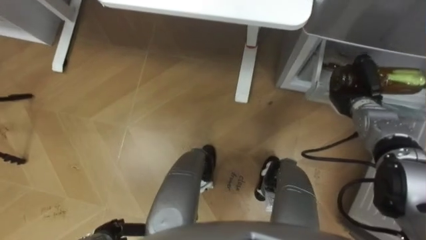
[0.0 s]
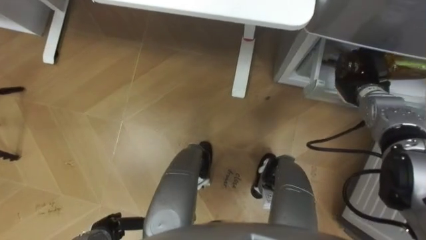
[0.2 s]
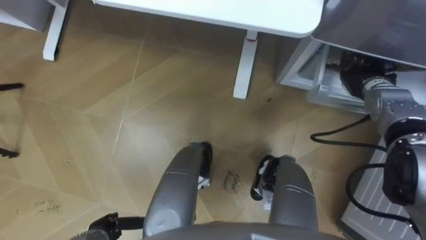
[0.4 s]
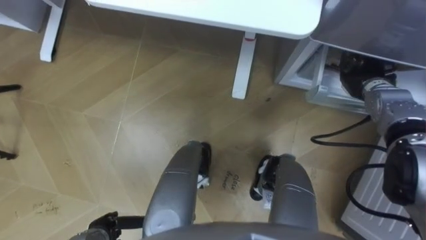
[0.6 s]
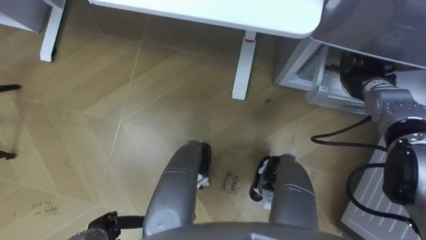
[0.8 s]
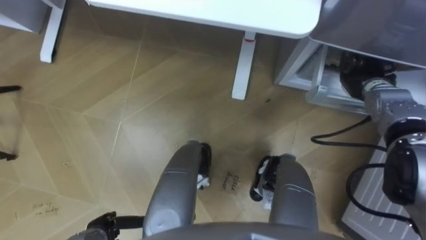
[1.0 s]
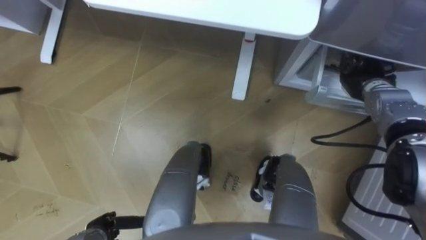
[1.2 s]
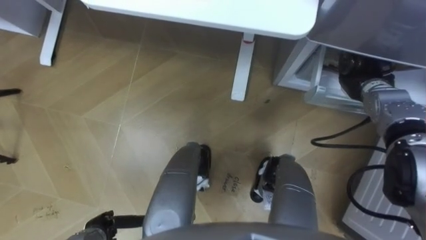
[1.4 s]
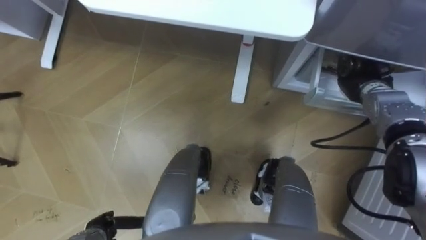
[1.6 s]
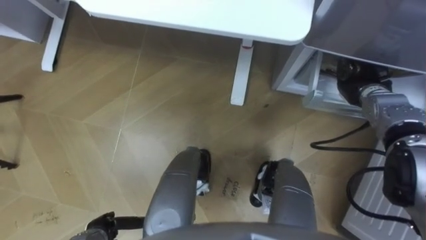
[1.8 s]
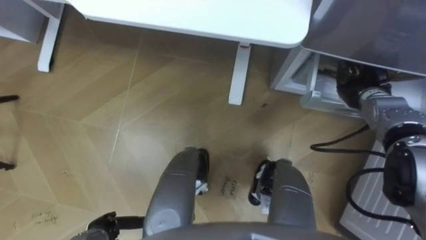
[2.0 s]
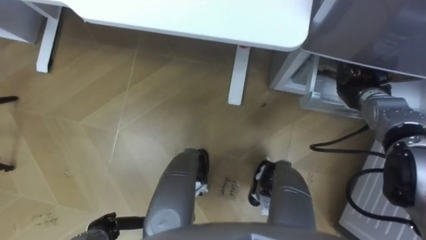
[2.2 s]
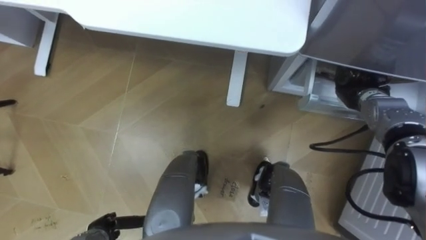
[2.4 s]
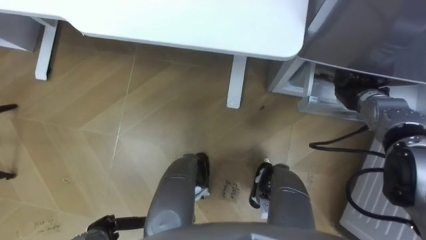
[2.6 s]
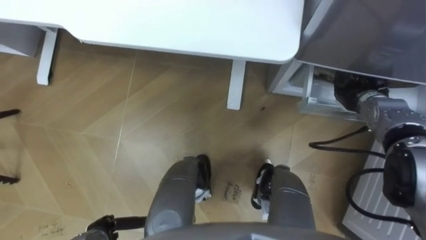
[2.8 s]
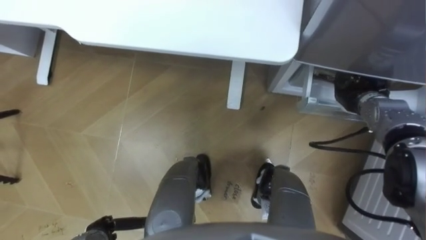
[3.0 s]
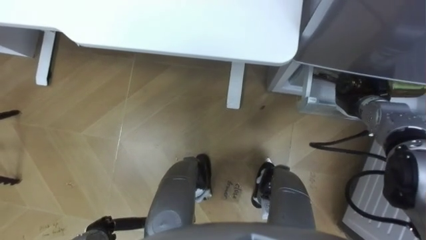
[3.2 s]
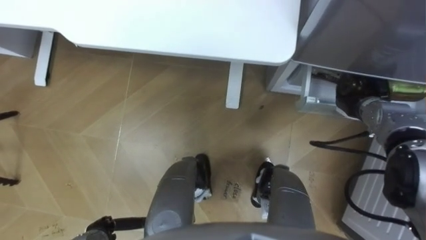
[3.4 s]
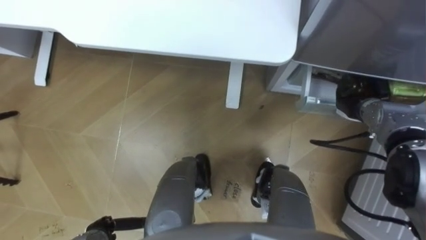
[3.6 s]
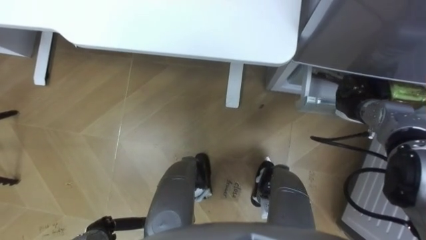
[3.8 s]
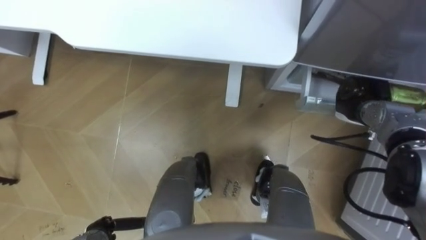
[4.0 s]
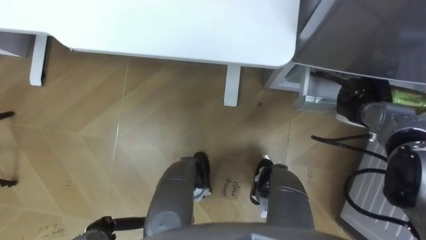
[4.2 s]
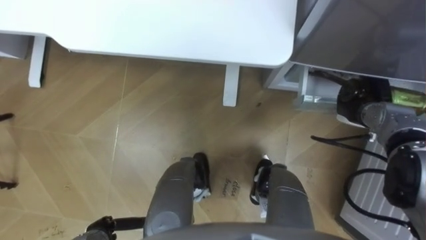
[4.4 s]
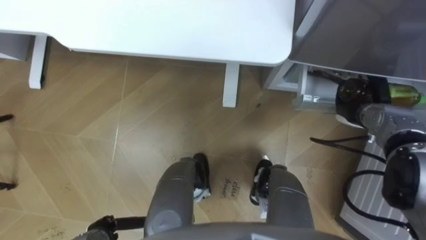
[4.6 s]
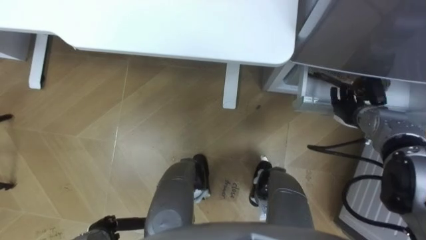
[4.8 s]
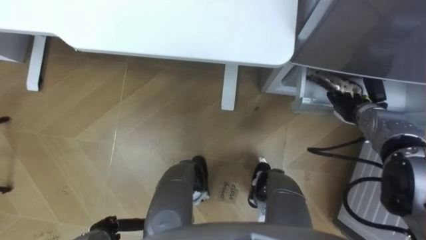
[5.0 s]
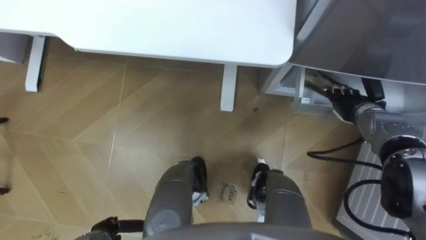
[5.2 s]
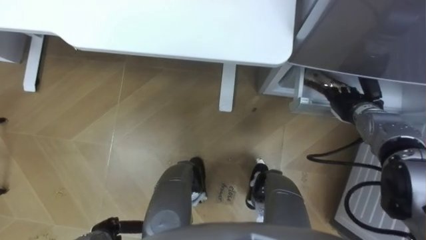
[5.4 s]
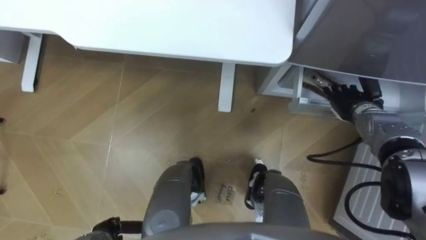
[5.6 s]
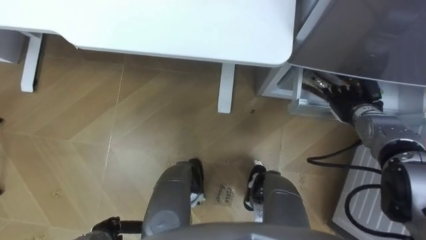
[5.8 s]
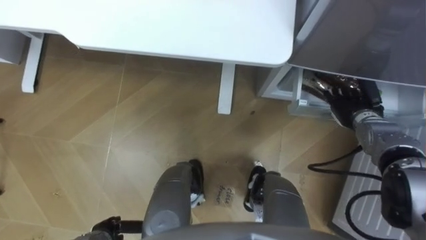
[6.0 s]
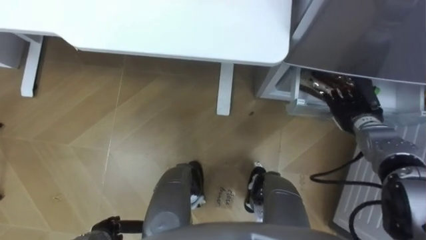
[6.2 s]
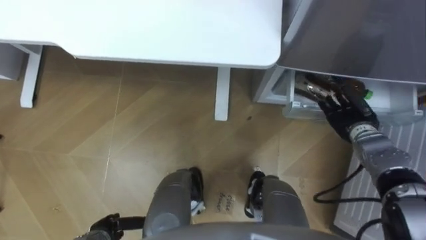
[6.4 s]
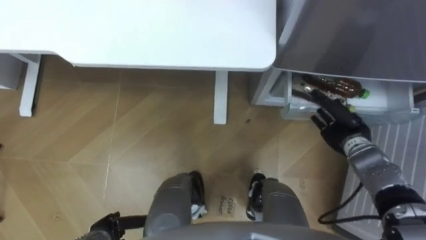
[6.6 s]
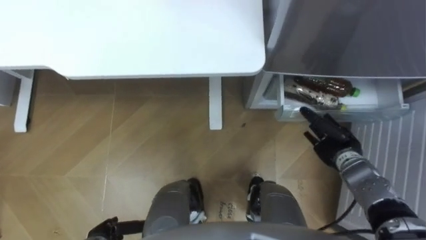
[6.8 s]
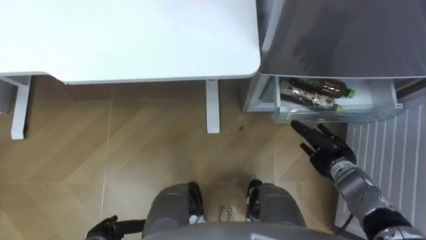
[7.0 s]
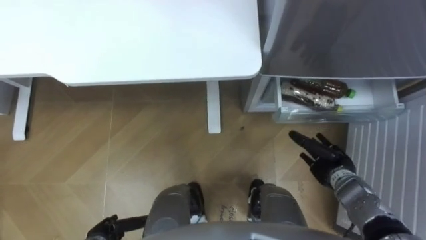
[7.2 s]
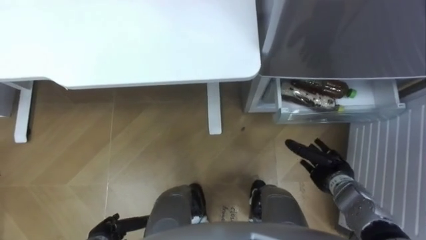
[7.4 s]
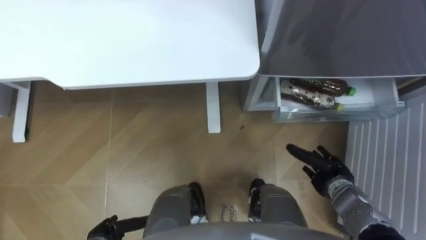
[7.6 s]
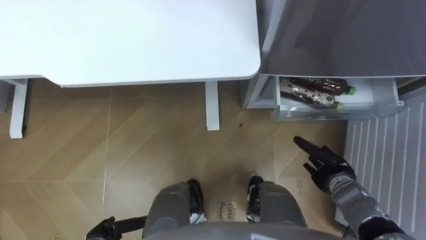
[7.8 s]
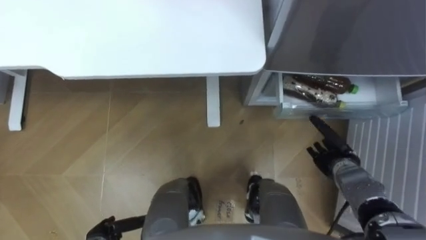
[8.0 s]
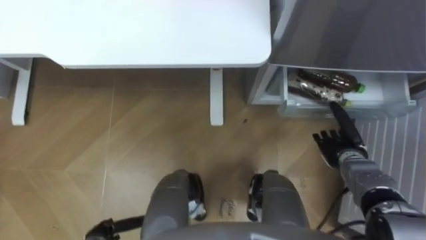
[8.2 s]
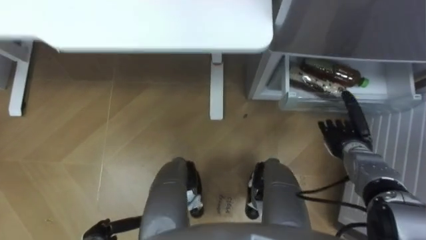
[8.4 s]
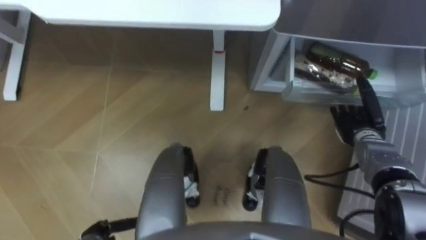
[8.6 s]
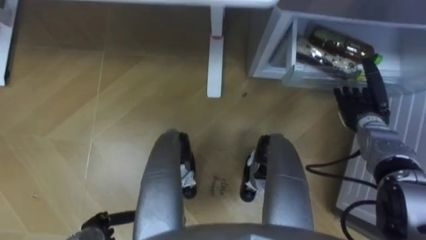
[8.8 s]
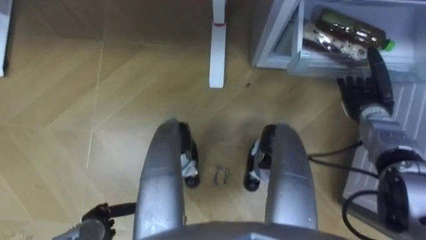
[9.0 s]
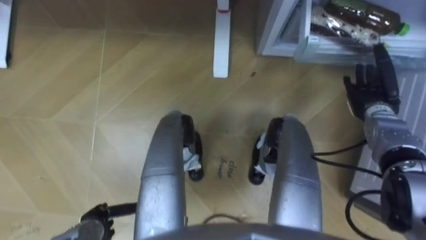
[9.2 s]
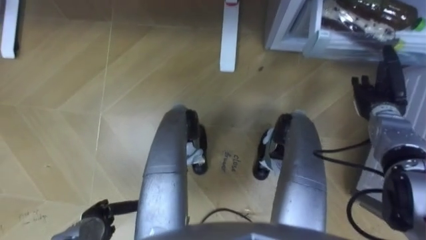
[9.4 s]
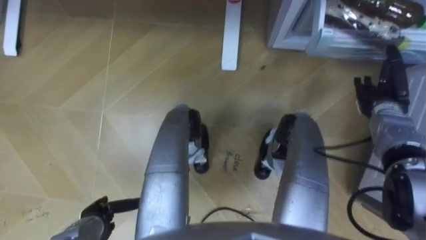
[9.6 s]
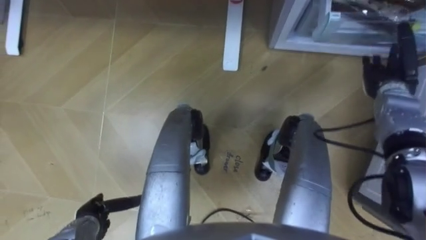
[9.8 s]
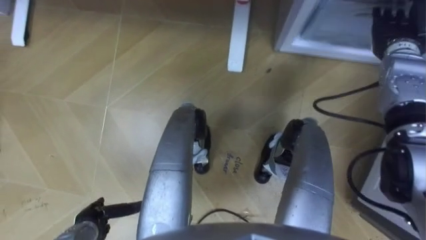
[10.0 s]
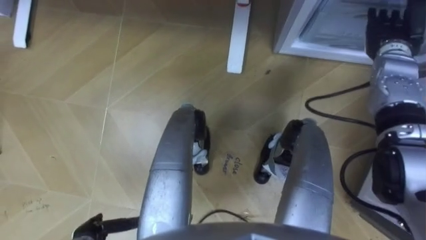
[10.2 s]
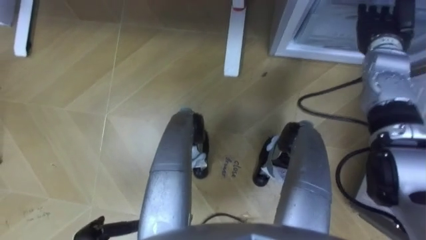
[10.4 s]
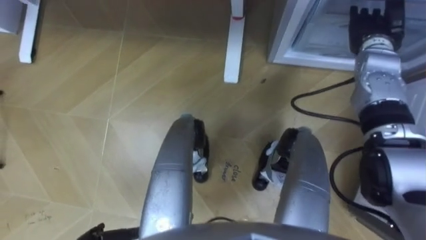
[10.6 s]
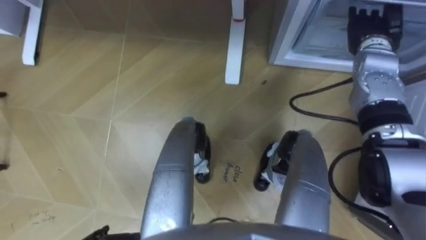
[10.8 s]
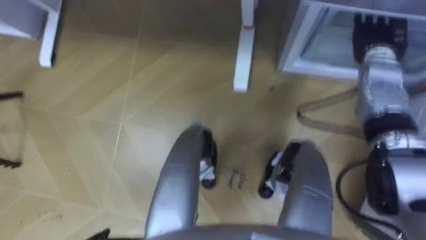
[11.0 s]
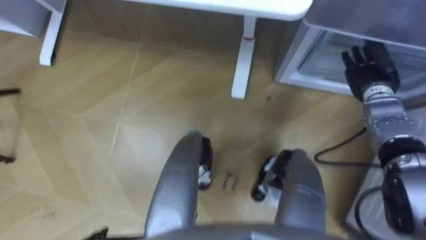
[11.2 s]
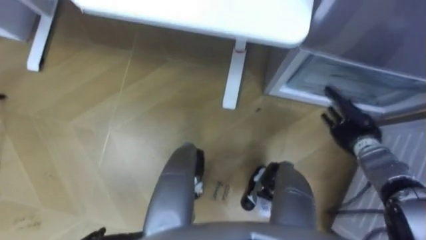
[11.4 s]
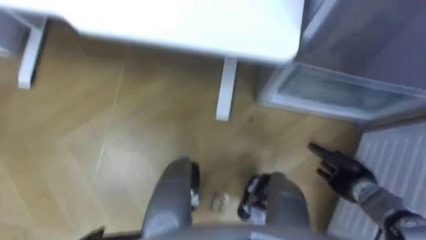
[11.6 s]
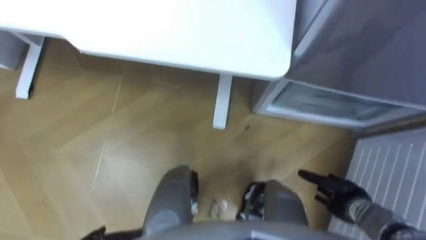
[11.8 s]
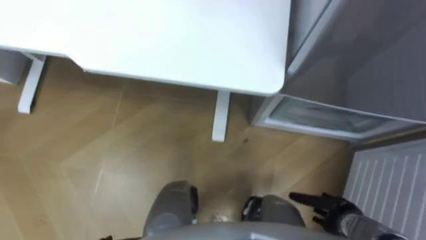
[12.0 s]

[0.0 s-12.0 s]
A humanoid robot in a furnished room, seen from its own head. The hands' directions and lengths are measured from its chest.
Task of the whole recording: Place the drink on the table on the bottom shelf of the refrigerator, then close the drawer and the refrigerator door.
4.4 to 6.0 s: The right hand opens.
6.0 to 7.6 s: The right hand moves backward and downward, about 15 cm.
7.6 to 9.0 s: The right hand heads forward, upward and to the right, covering roughly 15 cm.
9.0 to 10.4 s: The right hand is displaced upward and forward by some 15 cm.
10.4 to 12.0 s: The right hand travels backward and downward by approximately 40 cm.

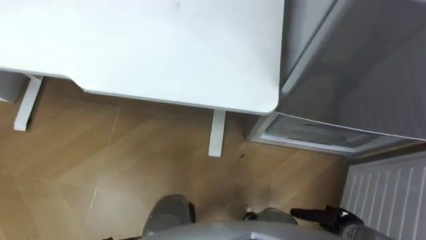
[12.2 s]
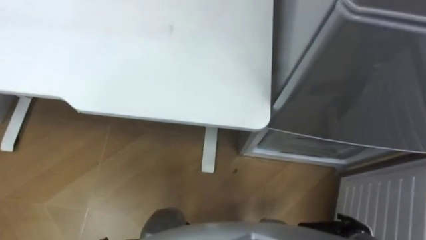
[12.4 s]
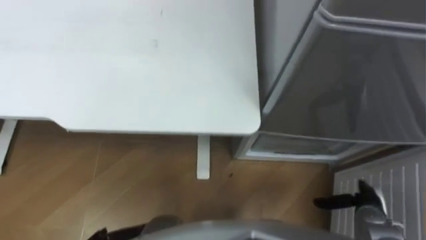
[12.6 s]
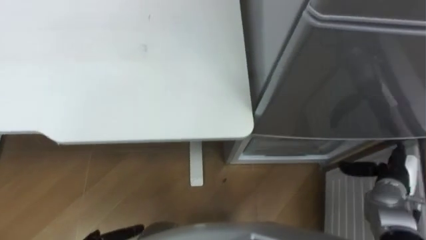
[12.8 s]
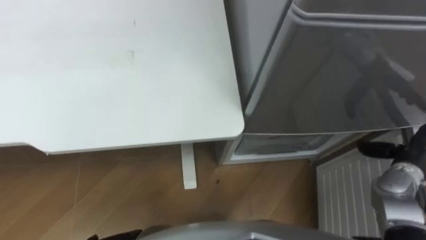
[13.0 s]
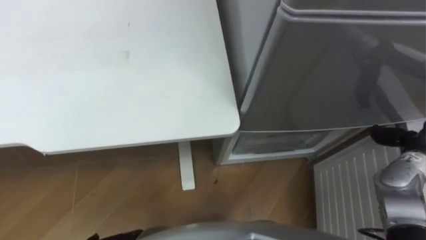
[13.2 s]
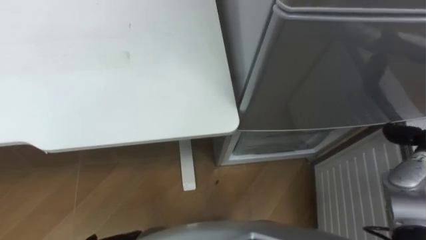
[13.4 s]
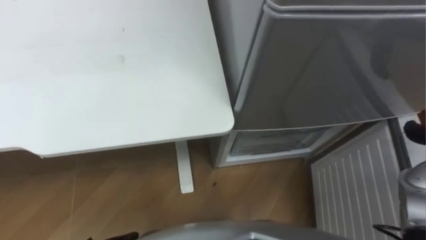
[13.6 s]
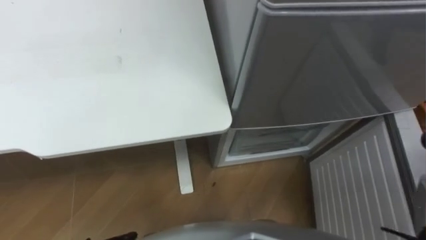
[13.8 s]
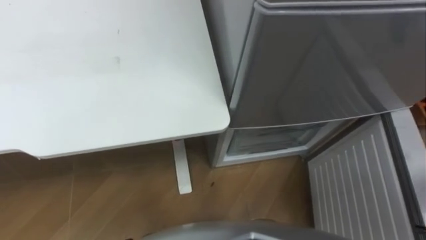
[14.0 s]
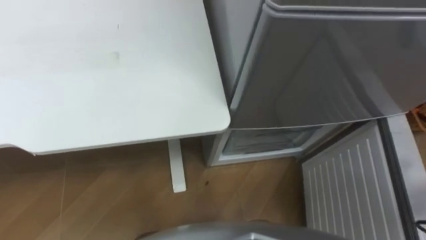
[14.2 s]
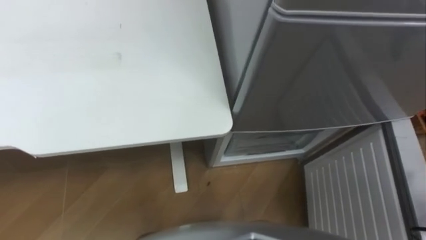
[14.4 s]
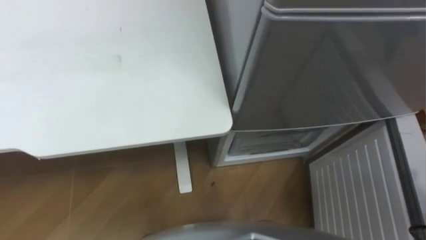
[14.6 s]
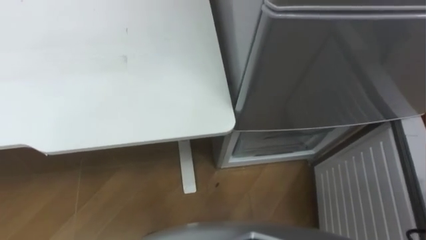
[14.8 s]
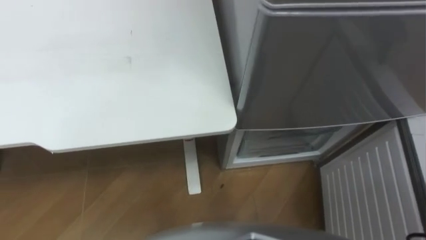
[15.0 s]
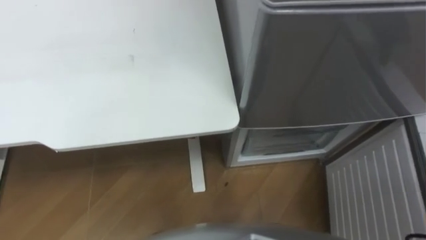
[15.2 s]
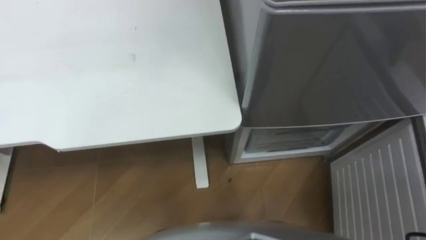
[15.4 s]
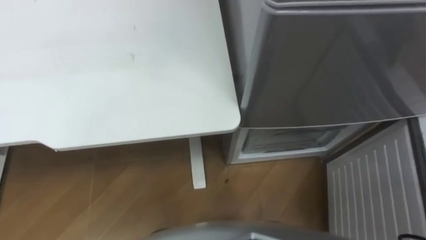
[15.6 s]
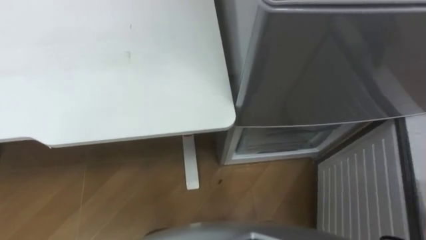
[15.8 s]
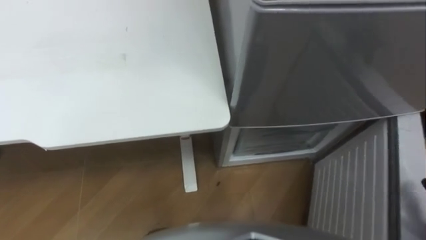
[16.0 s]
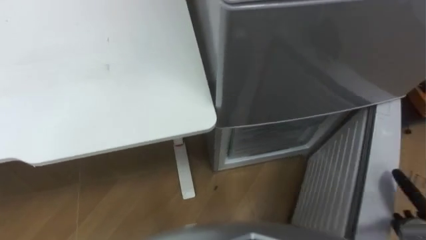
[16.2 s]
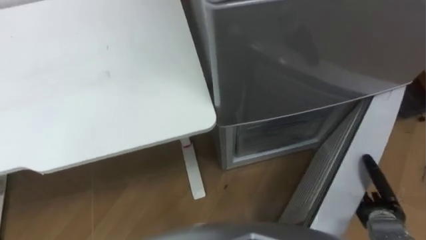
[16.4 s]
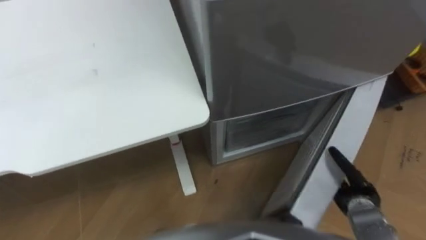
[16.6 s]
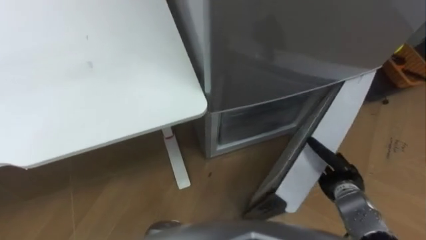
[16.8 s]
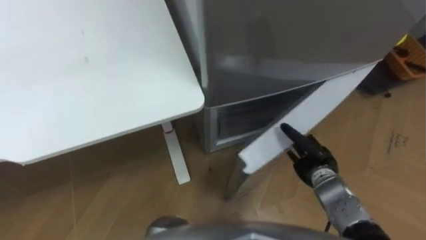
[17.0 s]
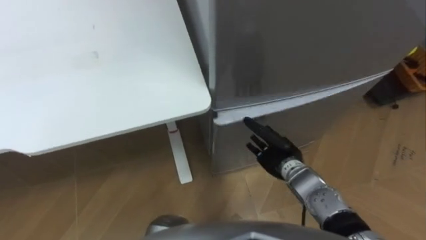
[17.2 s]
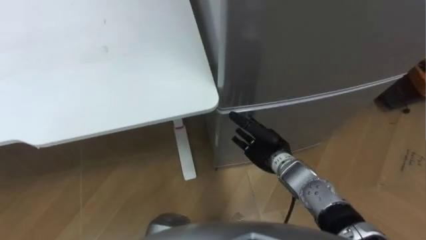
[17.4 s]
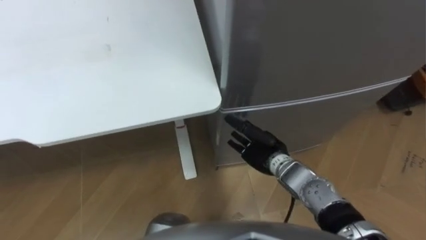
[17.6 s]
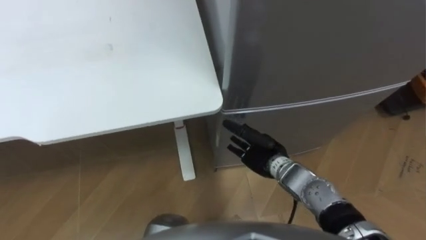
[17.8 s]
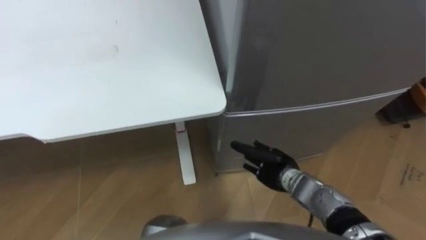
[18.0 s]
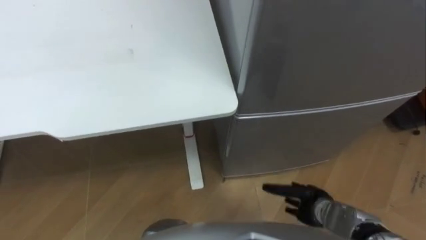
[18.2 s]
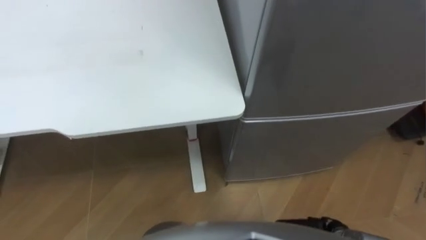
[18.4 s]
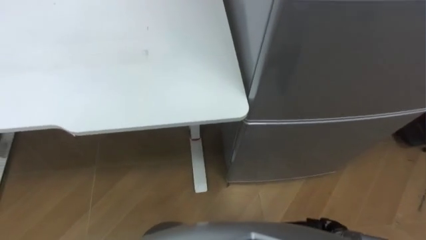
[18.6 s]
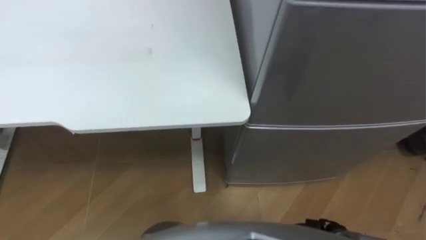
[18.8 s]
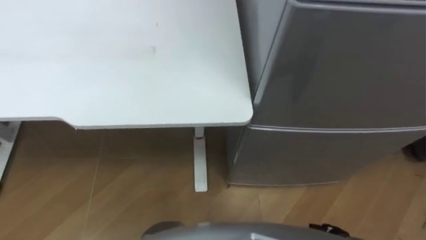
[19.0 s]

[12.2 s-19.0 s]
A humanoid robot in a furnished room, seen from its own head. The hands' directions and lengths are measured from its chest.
Task of the whole recording: Place the drink on the table on the bottom shelf of the refrigerator, then close the drawer and the refrigerator door.
16.2 to 17.6 s: The right hand goes about 35 cm to the left and forward.
